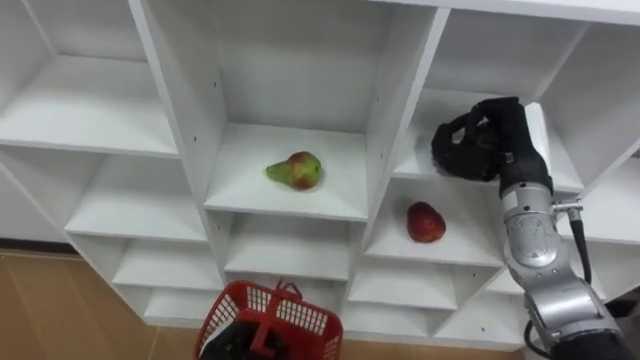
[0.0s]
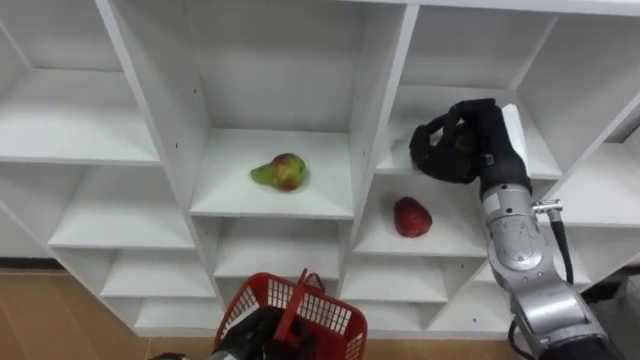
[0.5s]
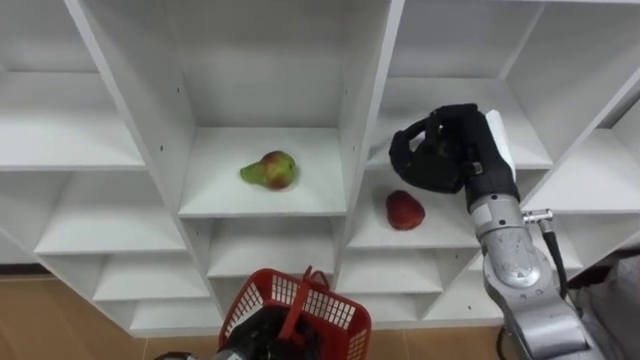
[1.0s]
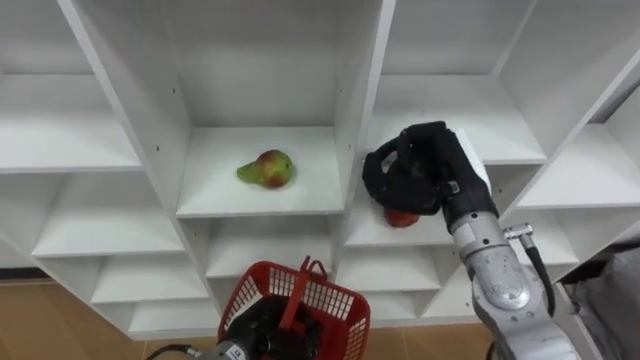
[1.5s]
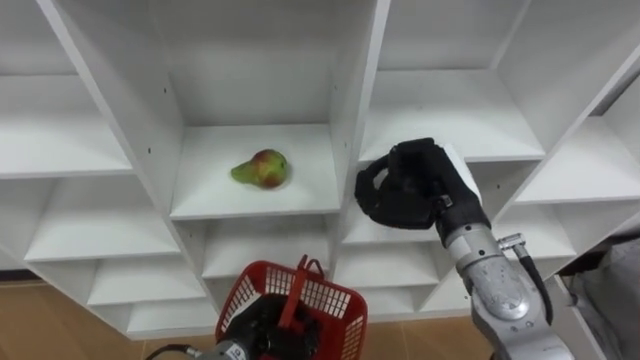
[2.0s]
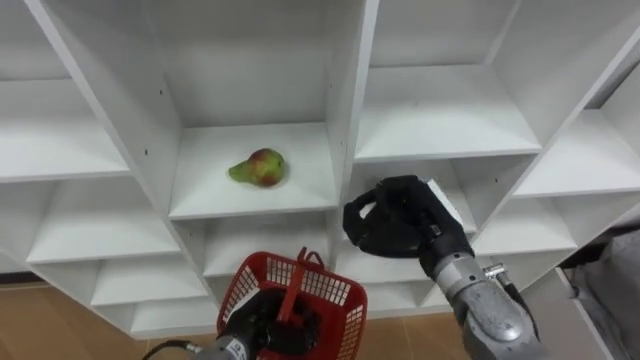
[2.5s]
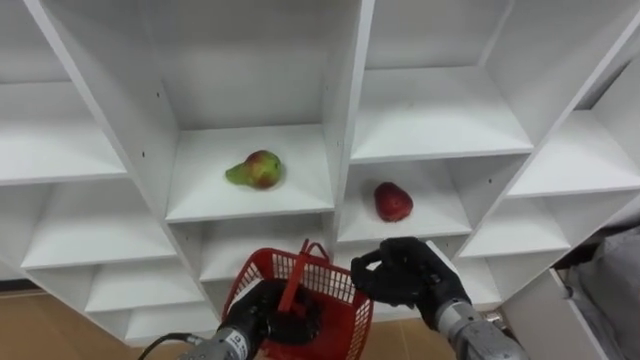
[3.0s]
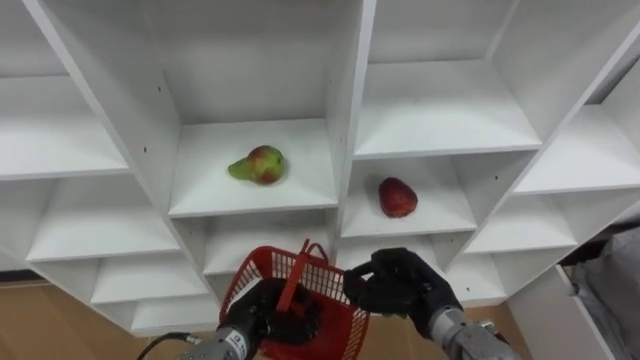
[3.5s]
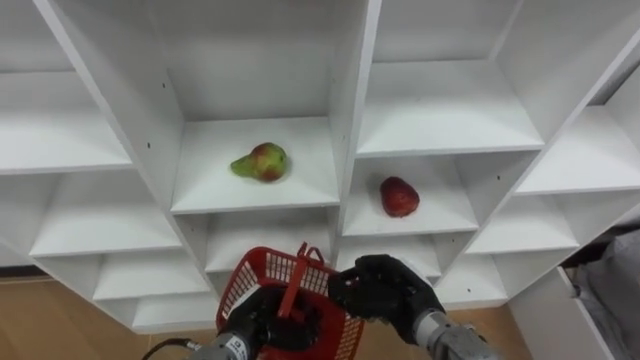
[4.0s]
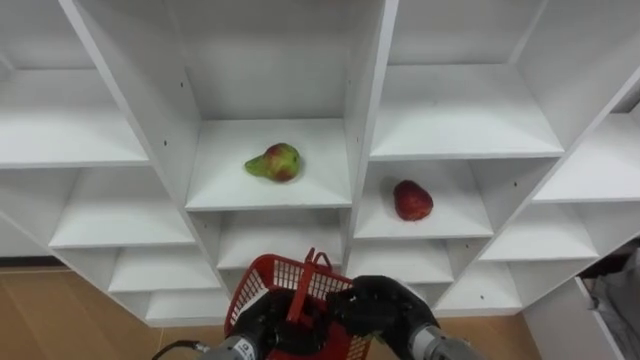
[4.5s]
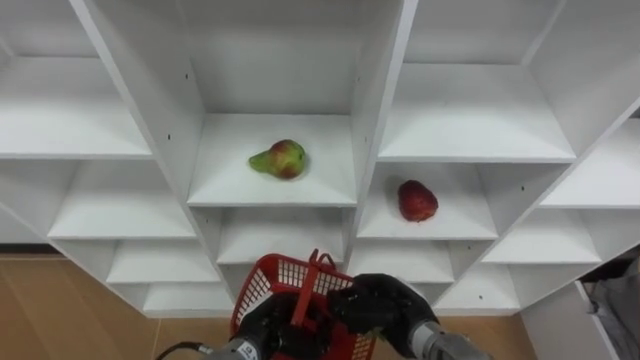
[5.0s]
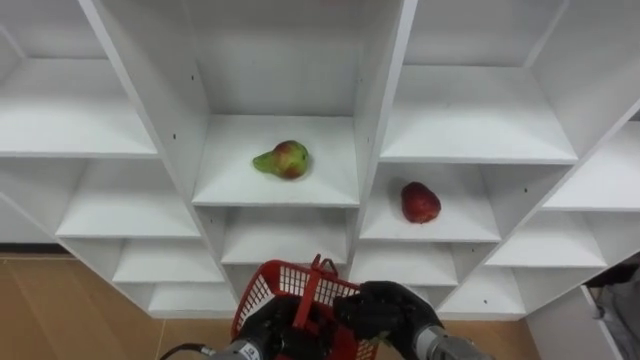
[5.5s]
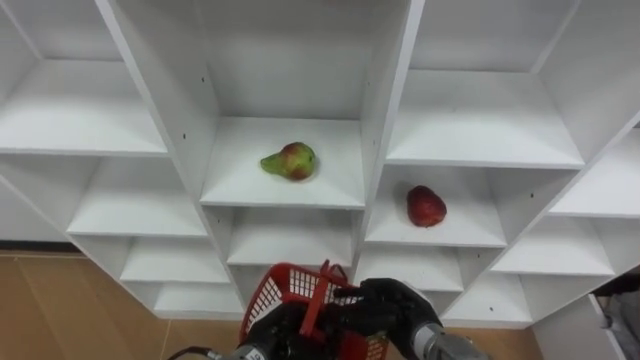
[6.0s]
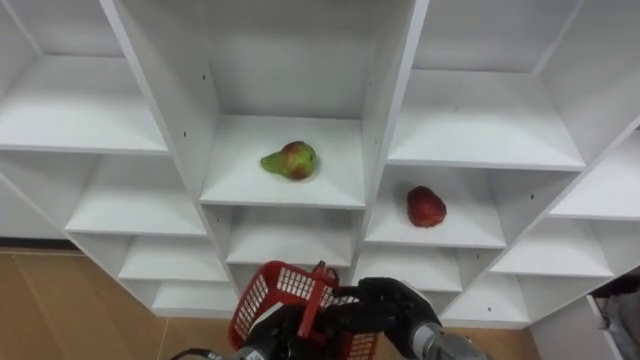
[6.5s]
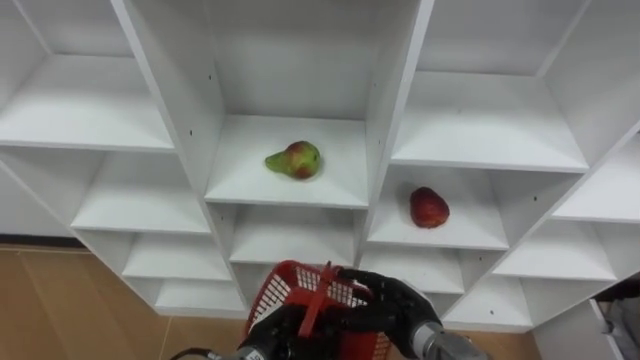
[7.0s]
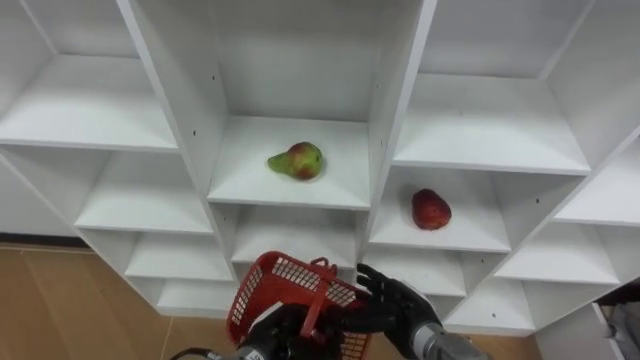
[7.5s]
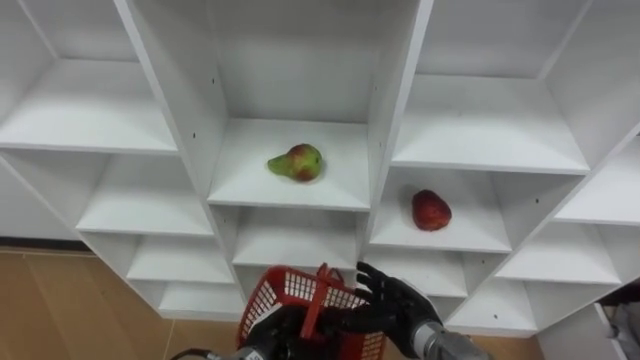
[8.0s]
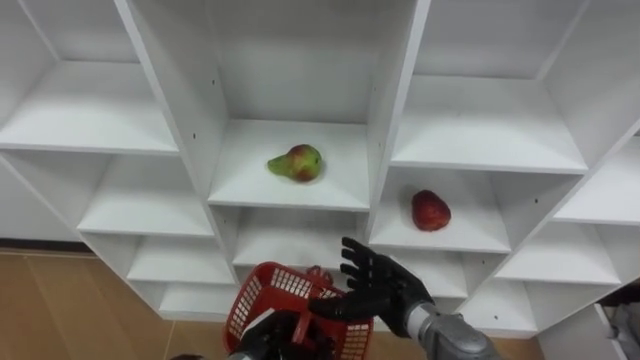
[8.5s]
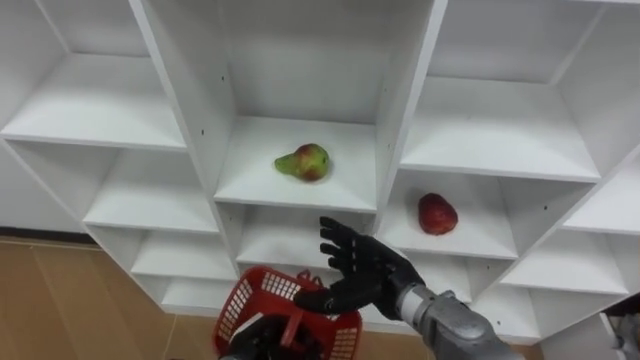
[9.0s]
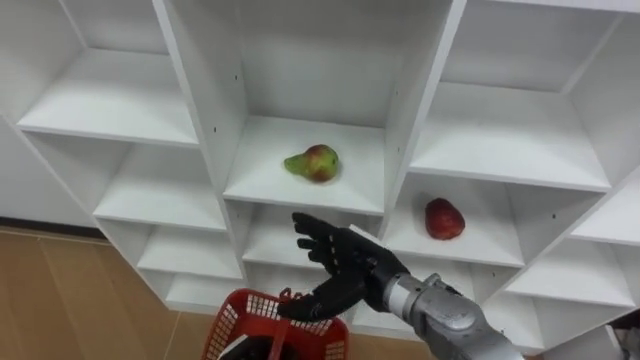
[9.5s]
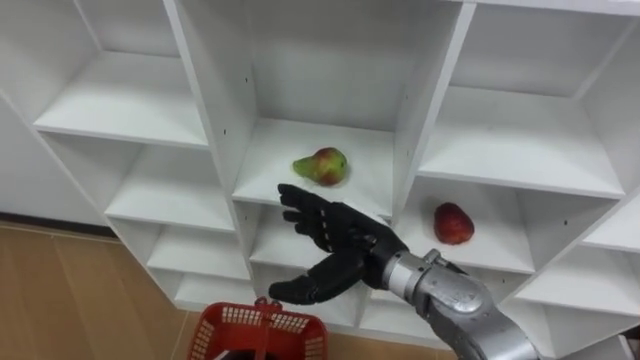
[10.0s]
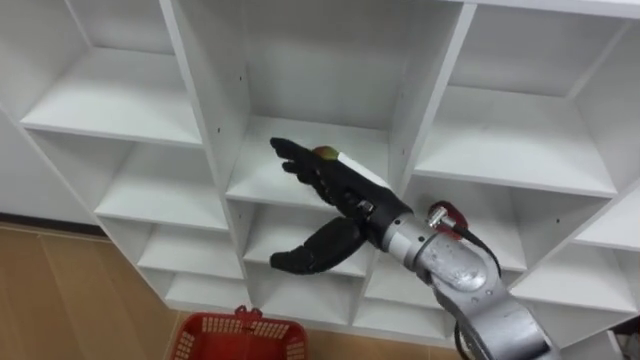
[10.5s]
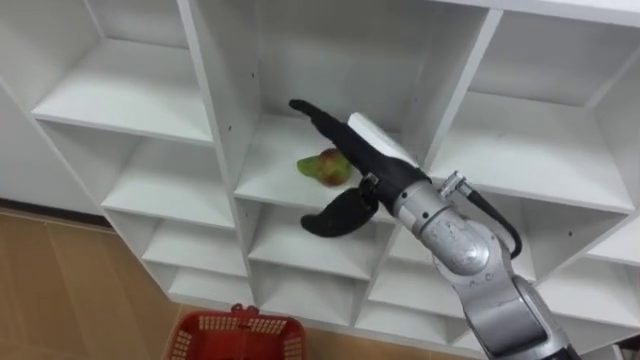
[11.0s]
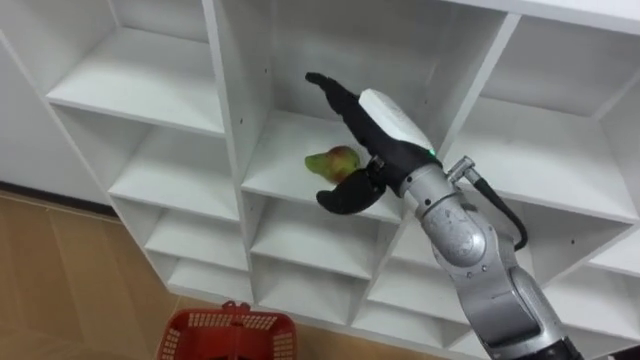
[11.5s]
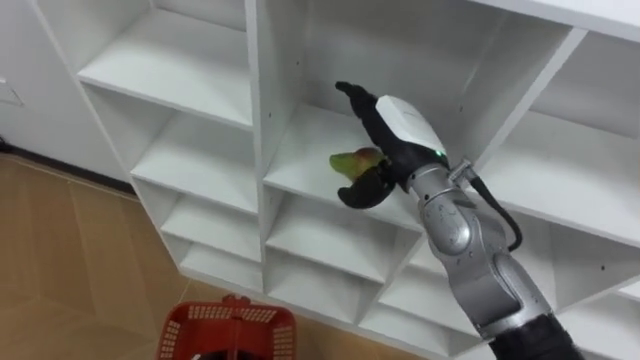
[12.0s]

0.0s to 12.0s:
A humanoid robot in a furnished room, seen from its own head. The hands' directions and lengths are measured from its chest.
Task of the whole recording: Hold the basket and collect the fruits from 3 different cells of the closet into it.
0.0s to 2.0s: The right hand travels to the left by roughly 10 cm; the left hand shifts by roughly 5 cm.
2.0s to 4.0s: The right hand travels downward and backward by approximately 15 cm.
6.0s to 8.0s: The right hand opens.
8.0s to 10.0s: The right hand moves upward and to the left, roughly 15 cm.
10.0s to 12.0s: The right hand travels upward, forward and to the right by about 10 cm.

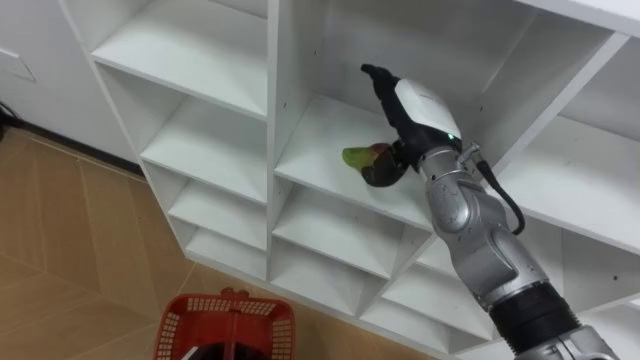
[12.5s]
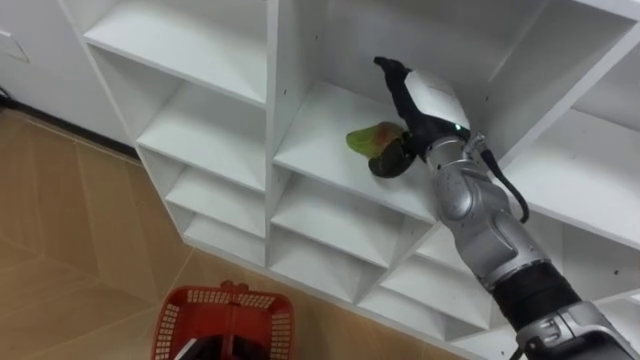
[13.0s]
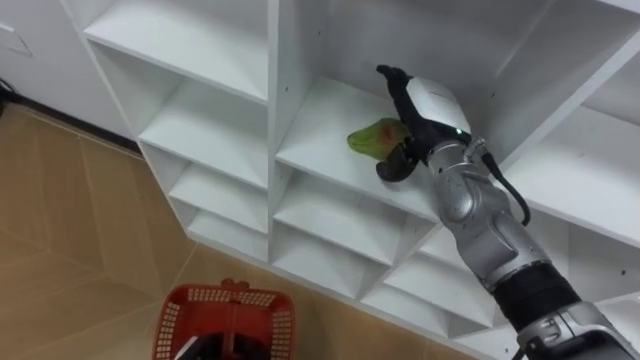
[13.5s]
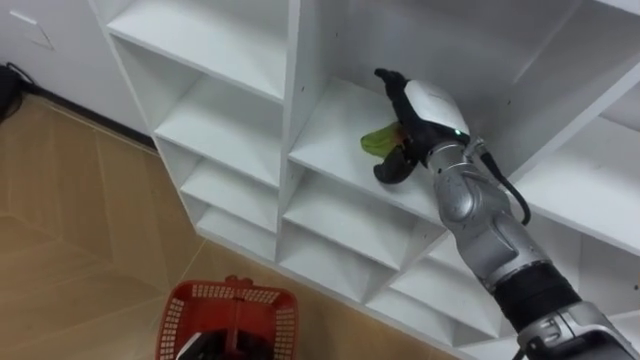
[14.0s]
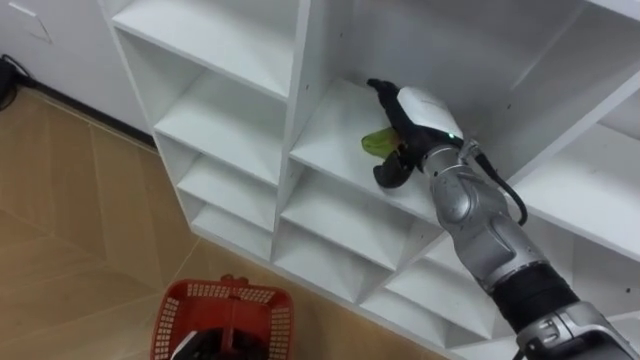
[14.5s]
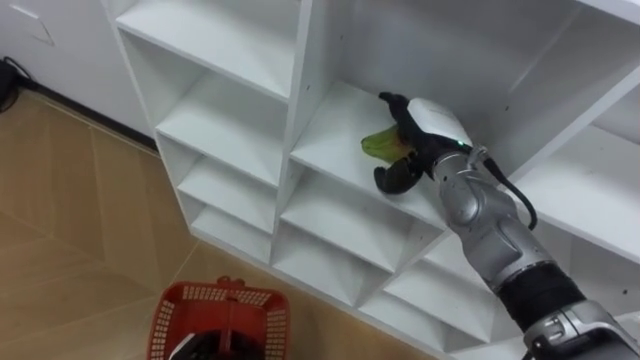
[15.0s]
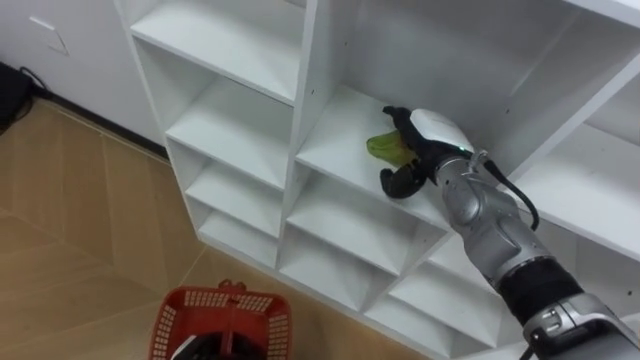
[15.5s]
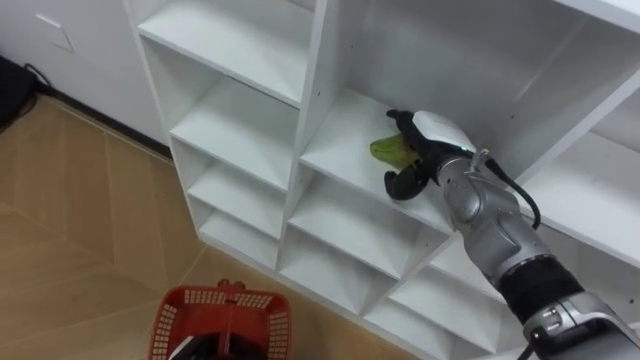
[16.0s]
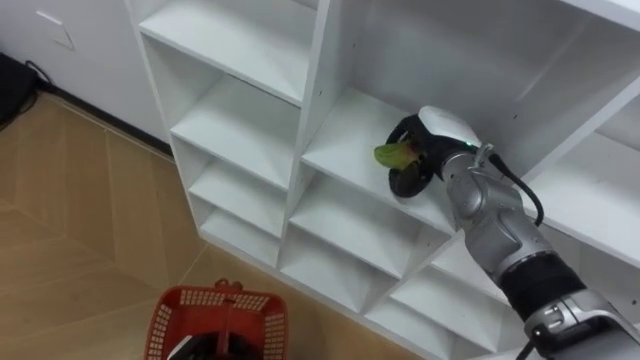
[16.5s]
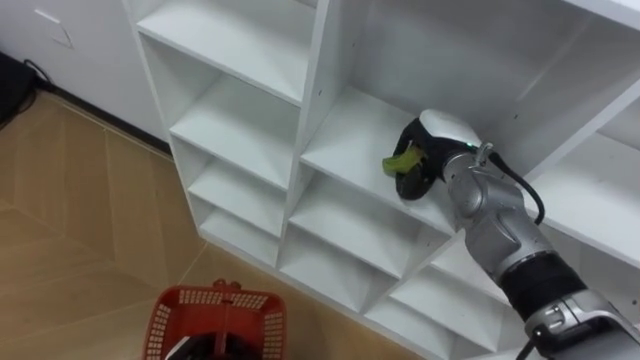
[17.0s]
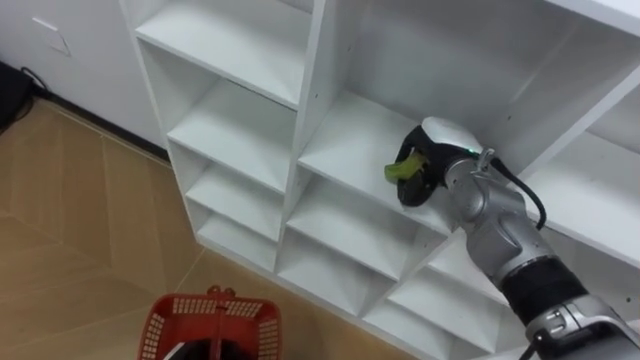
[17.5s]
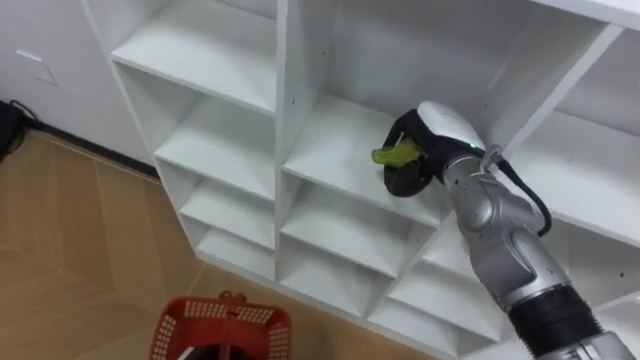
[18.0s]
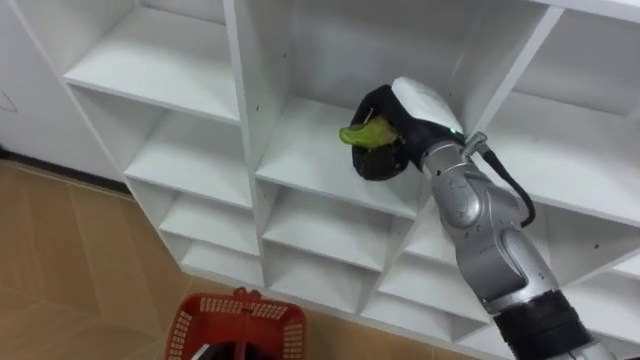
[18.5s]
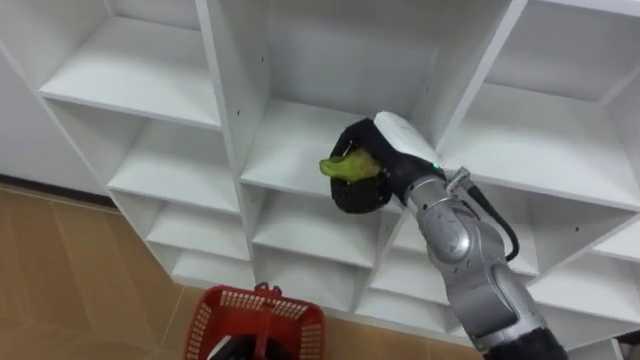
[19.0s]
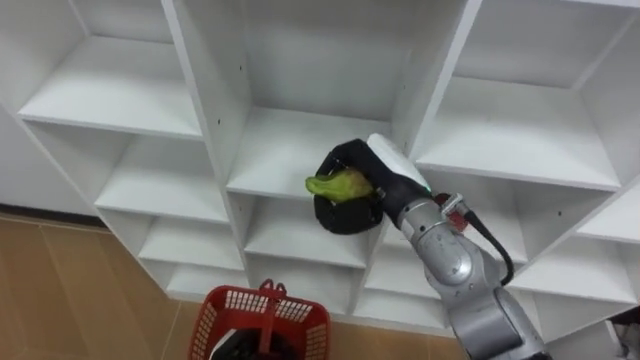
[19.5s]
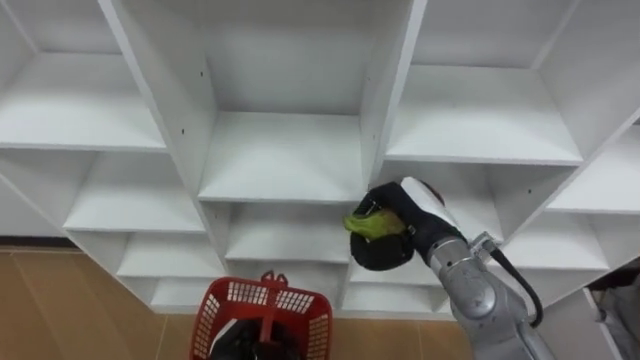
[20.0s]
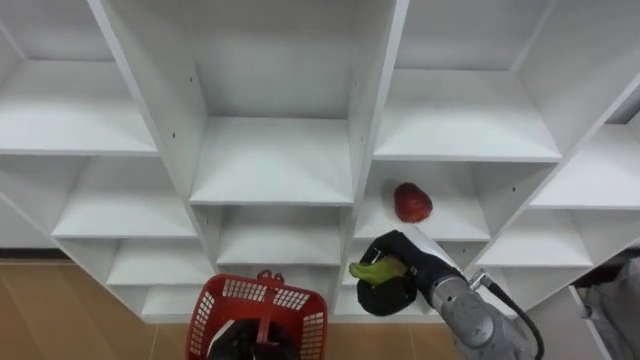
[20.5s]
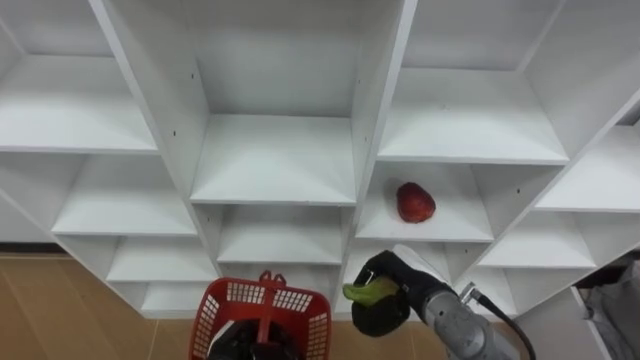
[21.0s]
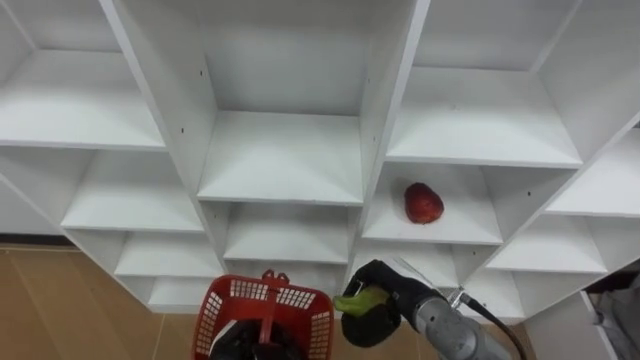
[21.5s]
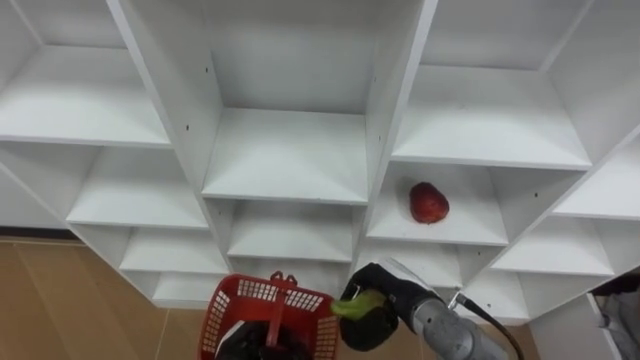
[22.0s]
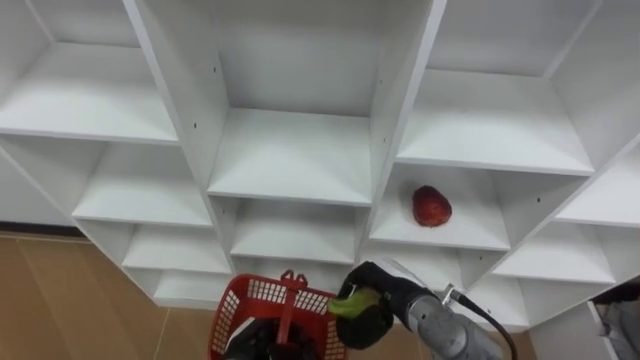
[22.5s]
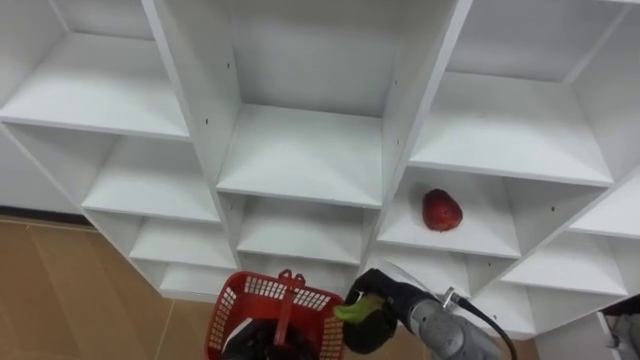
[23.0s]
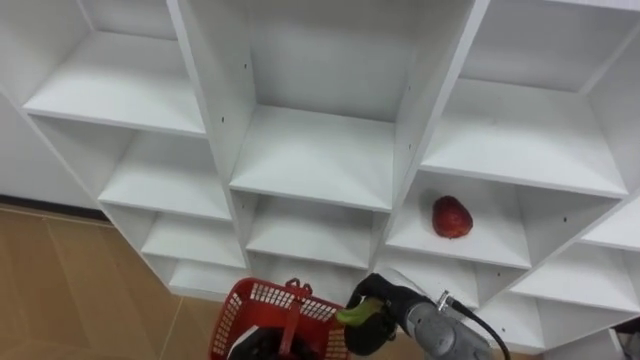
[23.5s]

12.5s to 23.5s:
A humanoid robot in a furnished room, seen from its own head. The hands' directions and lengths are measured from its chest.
Task of the whole recording: Hold the basket and collect the fruits from 3 different cells of the closet into it.
16.0s to 18.0s: The right hand closes.
18.0s to 20.0s: The right hand shifts approximately 10 cm backward and downward.
20.0s to 21.5s: The right hand heads downward and backward, covering roughly 10 cm.
